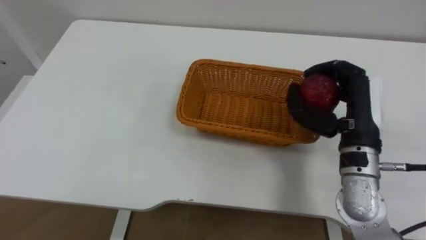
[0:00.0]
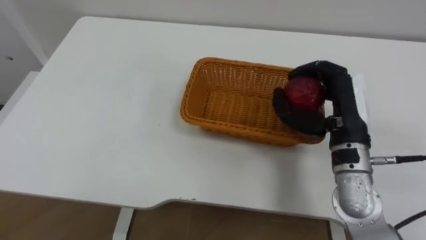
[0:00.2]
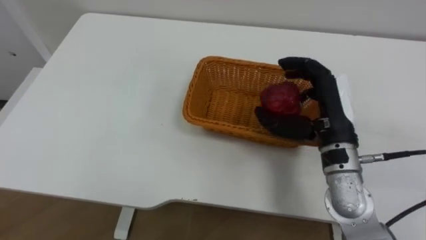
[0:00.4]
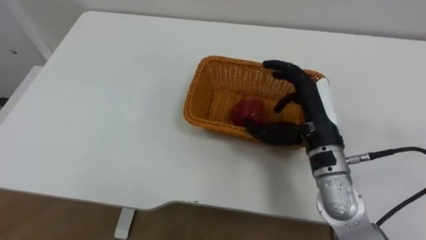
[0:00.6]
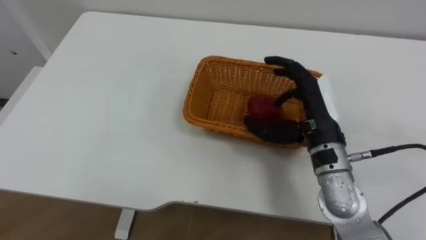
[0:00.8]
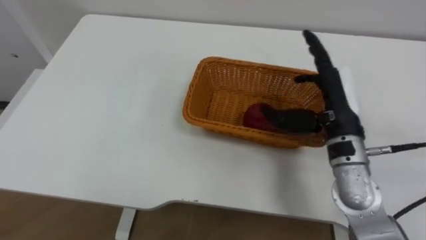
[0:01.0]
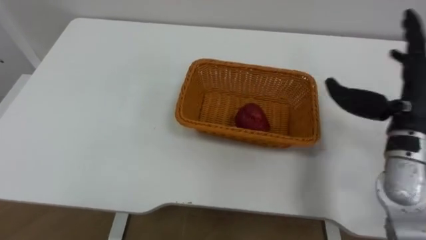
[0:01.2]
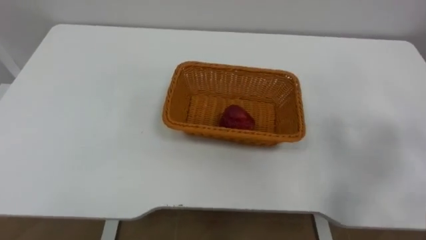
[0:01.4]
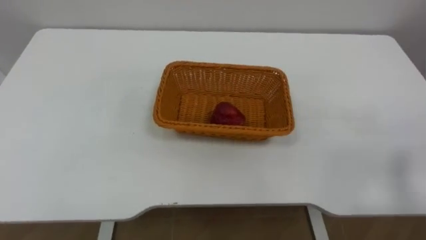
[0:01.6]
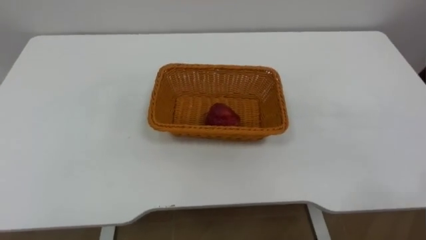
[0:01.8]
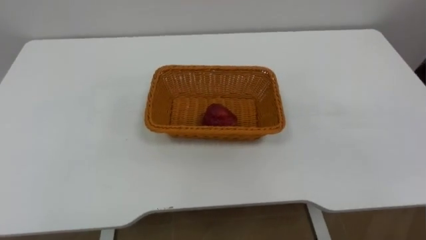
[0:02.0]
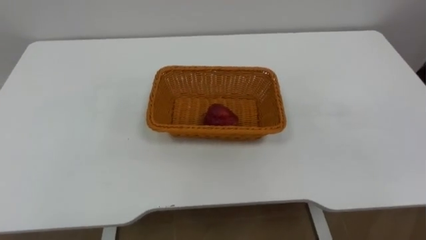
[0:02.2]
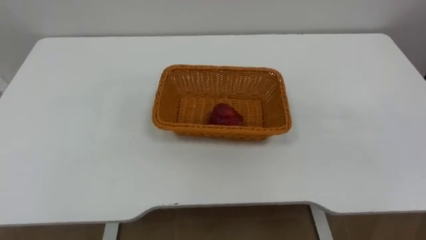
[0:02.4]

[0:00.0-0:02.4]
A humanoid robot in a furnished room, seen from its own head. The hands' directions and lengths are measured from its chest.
Task of the whole recording: Pick the apple and place it in the box.
0:00.0 to 0:01.2: The right hand is displaced to the right by approximately 5 cm, and opens up.

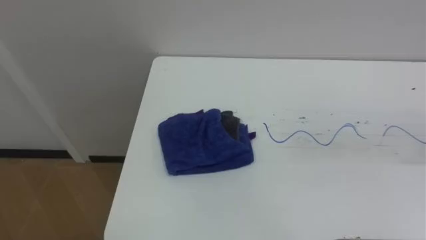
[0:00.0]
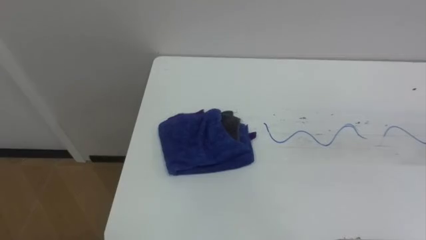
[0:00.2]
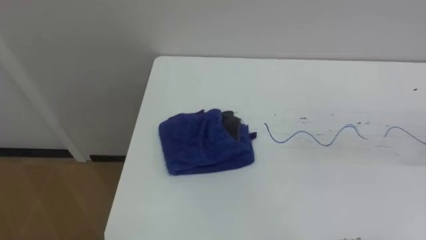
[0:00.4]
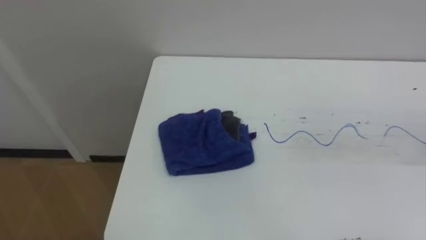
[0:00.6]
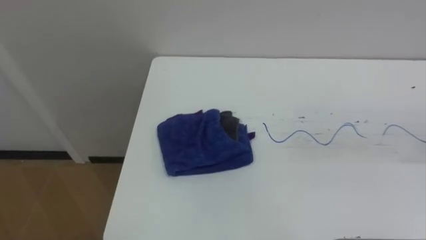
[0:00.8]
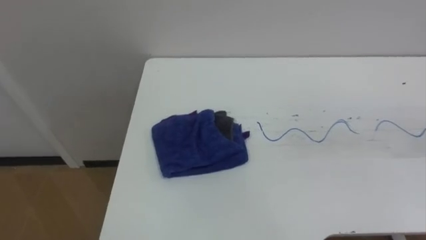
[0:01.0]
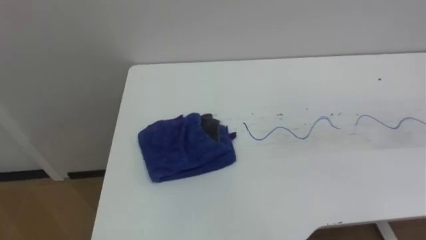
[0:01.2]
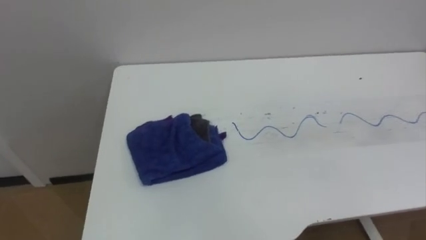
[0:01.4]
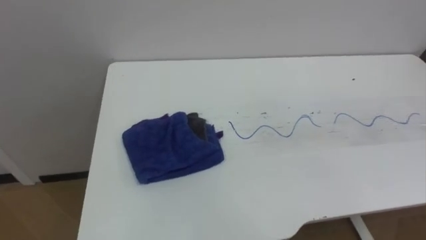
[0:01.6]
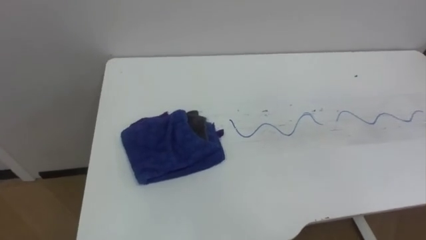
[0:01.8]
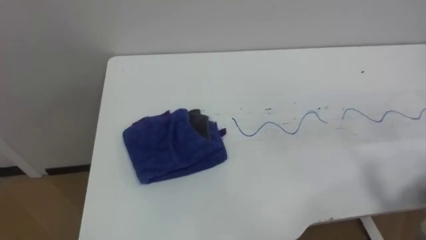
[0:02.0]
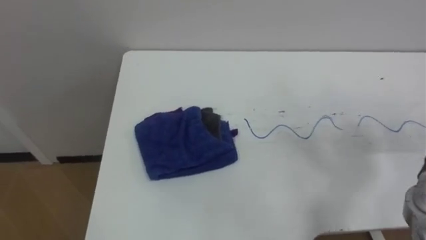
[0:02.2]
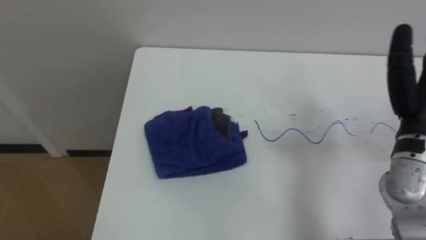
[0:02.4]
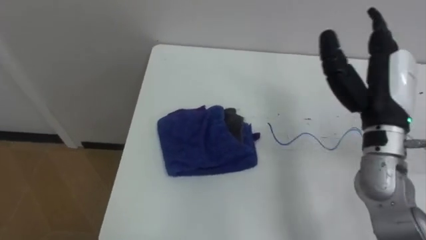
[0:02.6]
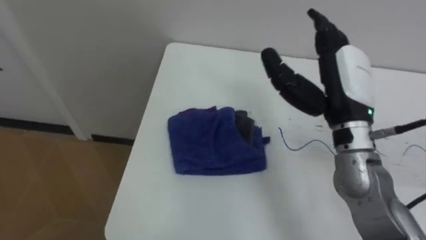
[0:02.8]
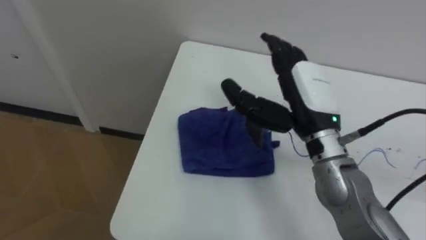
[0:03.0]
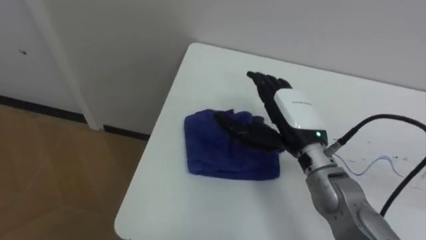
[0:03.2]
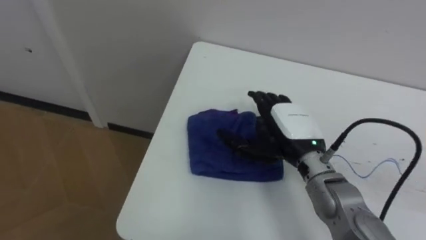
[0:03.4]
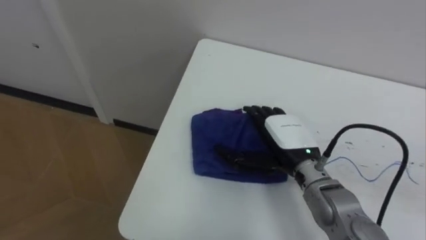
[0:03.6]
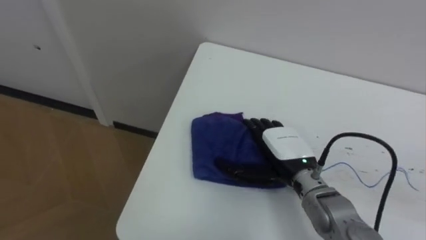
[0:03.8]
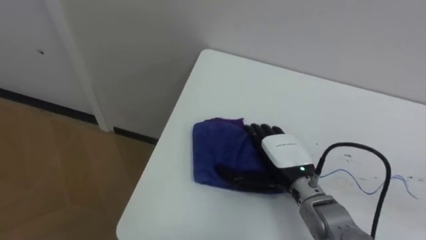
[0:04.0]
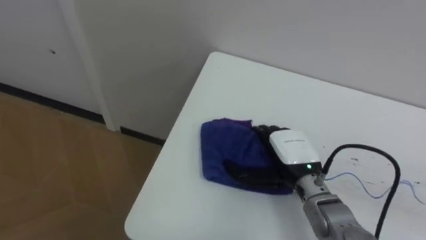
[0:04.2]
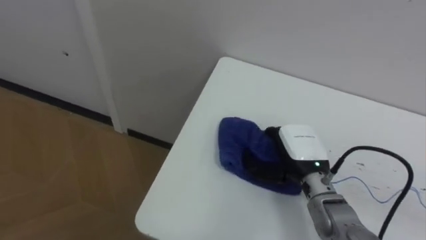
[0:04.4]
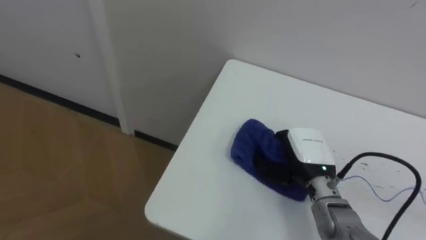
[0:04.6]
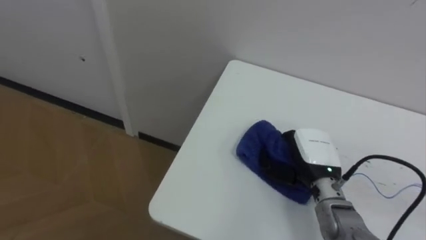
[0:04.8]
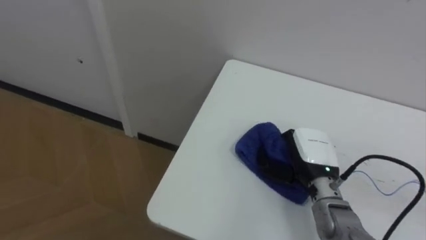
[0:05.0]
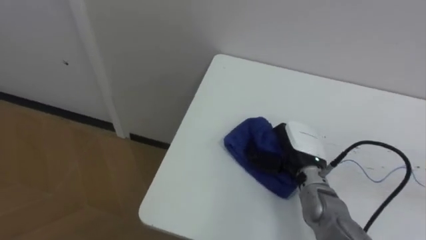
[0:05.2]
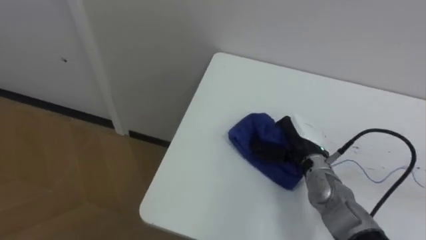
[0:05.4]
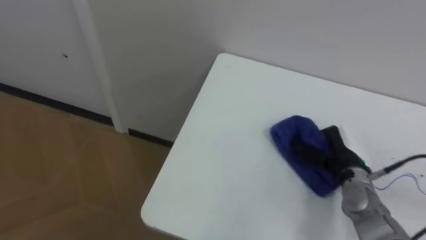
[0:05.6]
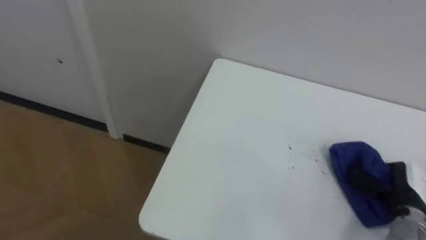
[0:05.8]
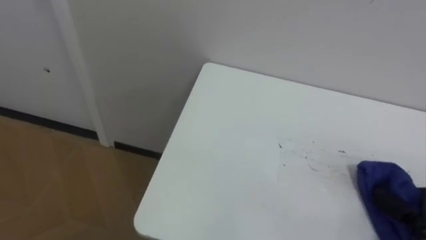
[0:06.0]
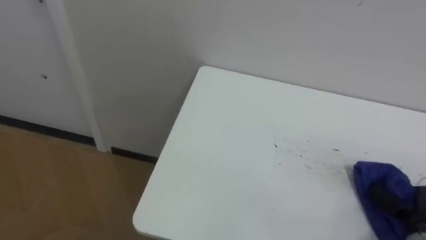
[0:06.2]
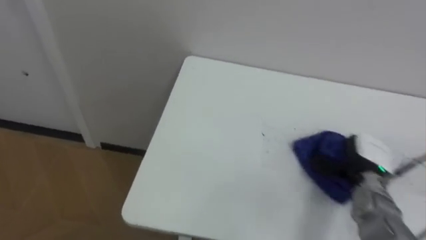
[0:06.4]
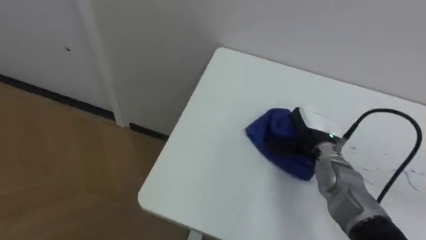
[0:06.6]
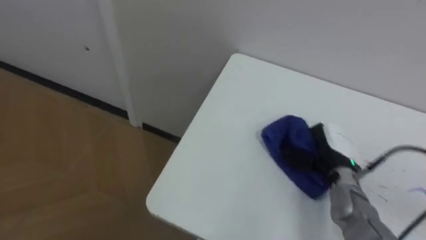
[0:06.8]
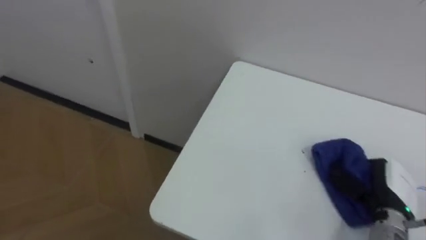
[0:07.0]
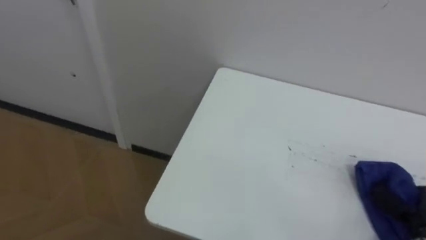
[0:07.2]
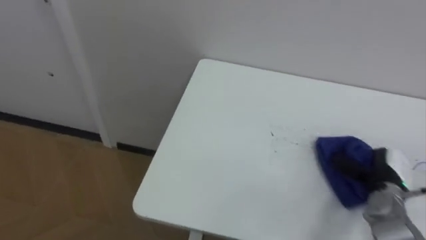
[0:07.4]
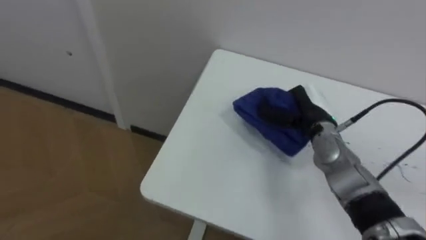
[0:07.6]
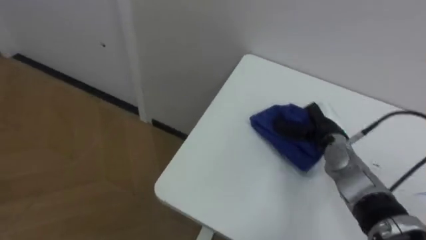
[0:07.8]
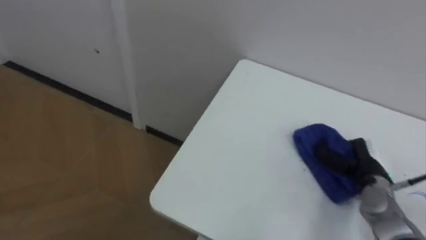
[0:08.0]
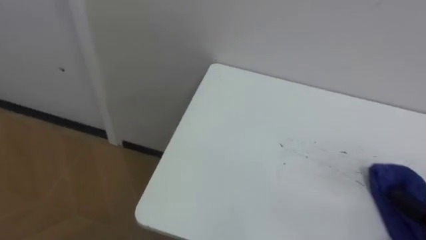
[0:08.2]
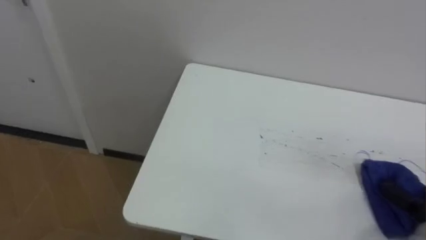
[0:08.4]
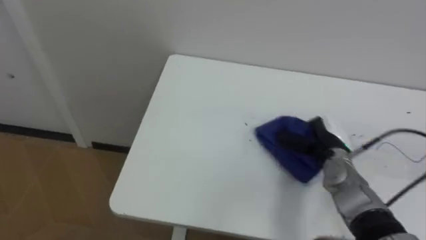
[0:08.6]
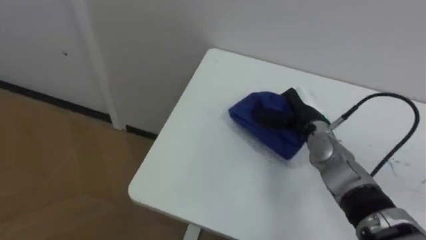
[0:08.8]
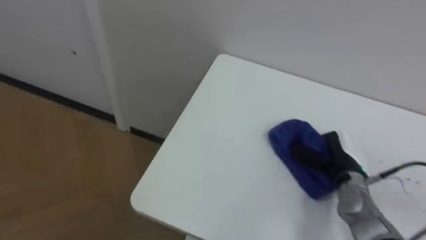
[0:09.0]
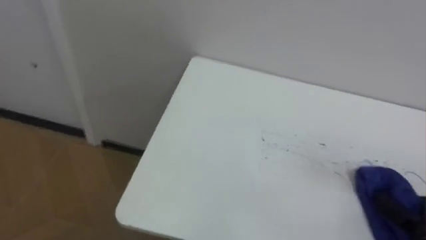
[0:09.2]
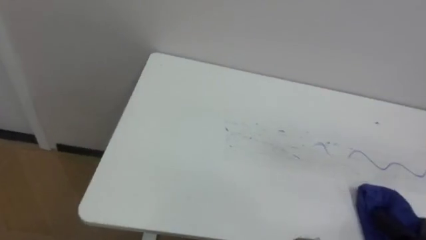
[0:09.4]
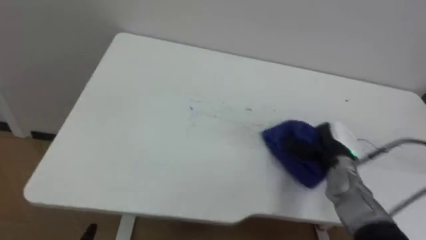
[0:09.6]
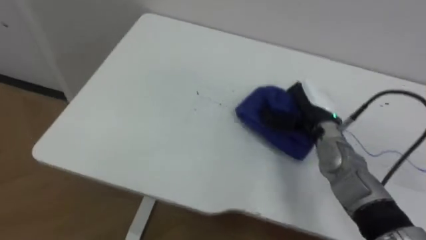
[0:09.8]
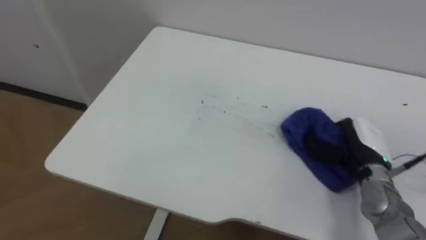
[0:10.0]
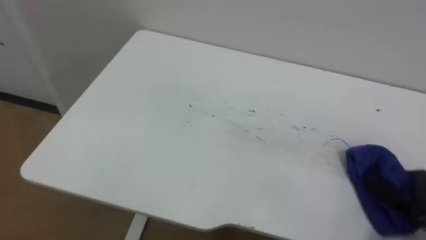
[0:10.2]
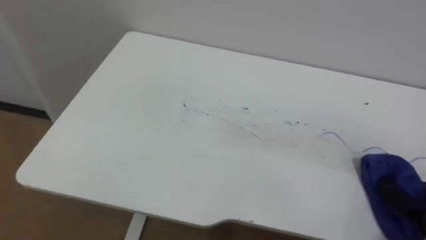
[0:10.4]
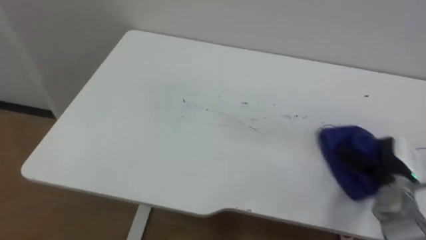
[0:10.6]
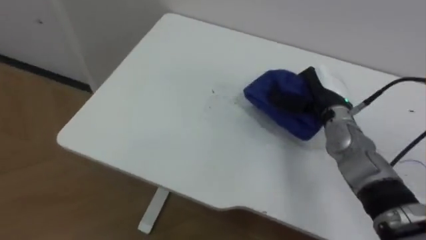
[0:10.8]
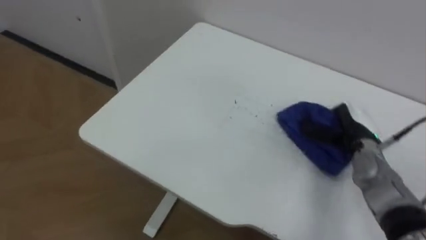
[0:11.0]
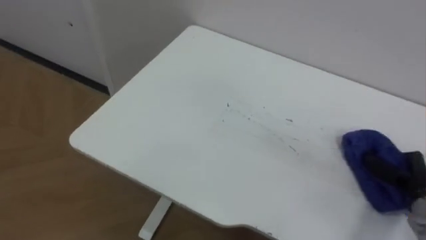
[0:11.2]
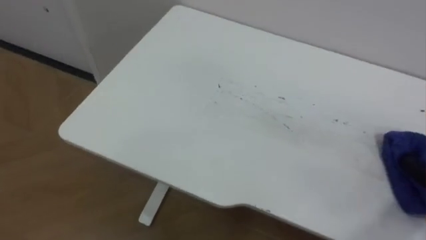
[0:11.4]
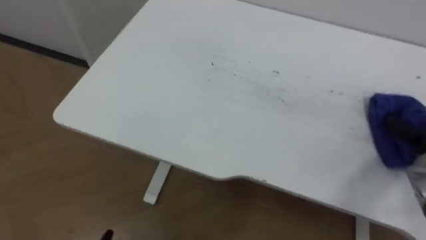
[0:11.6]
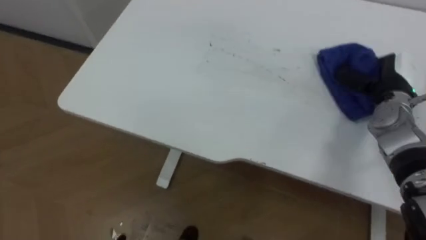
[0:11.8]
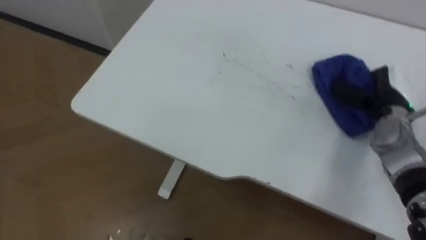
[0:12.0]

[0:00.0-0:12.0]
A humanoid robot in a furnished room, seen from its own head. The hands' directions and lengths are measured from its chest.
Task of the whole recording: Wipe the blue pen marks off the table with the rag.
0:03.0 to 0:04.4: The right hand moves downward, roughly 15 cm, and closes its fingers.
0:04.4 to 0:06.0: The right hand moves to the right and backward, roughly 25 cm, and closes its fingers.
0:06.0 to 0:07.6: The right hand moves left and right over roughly 20 cm, changing direction 2 times.

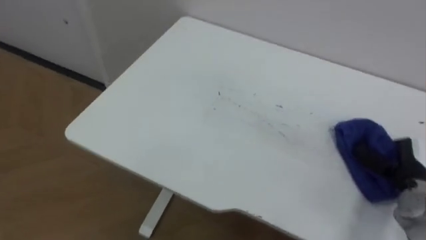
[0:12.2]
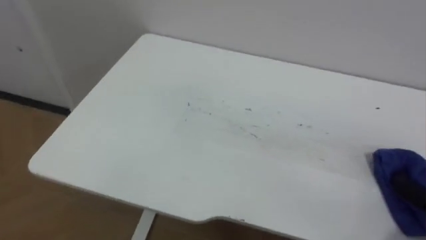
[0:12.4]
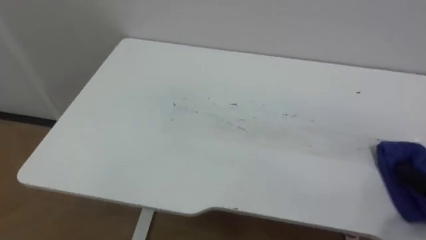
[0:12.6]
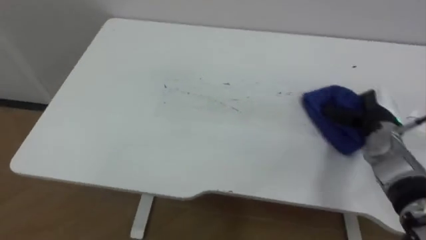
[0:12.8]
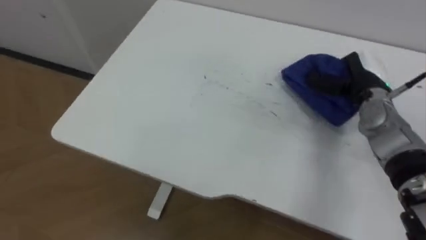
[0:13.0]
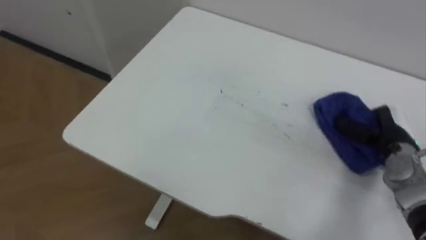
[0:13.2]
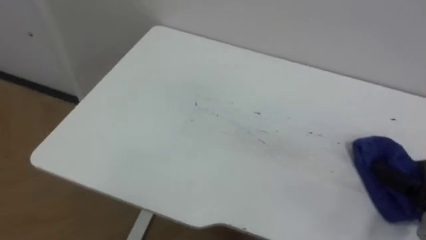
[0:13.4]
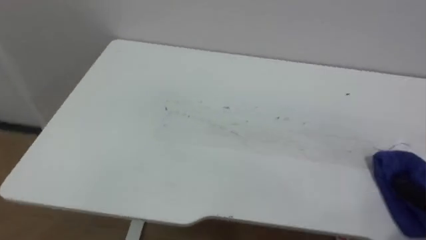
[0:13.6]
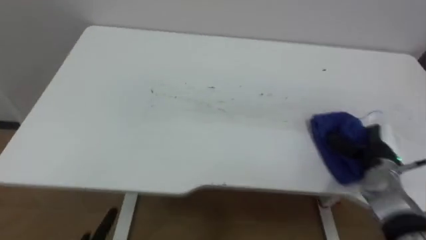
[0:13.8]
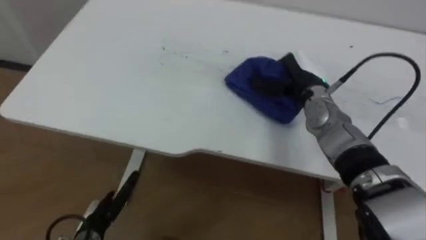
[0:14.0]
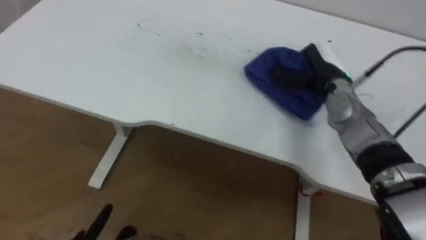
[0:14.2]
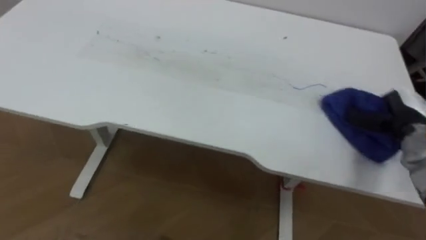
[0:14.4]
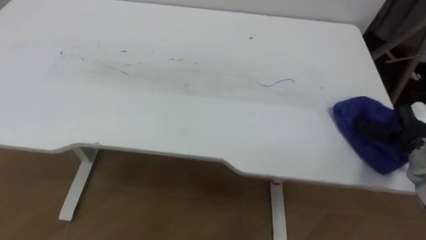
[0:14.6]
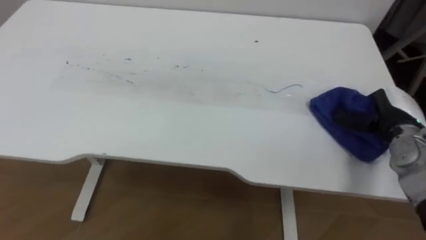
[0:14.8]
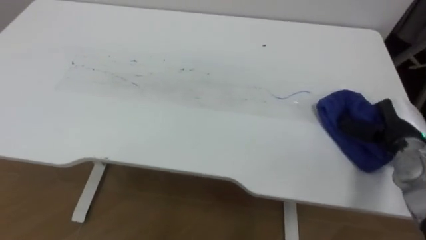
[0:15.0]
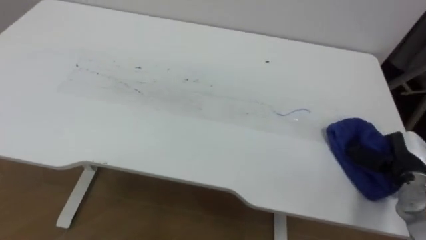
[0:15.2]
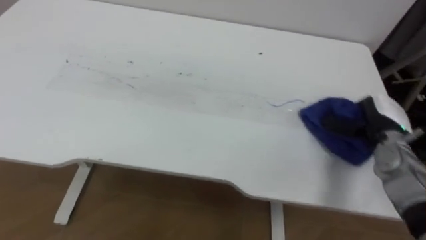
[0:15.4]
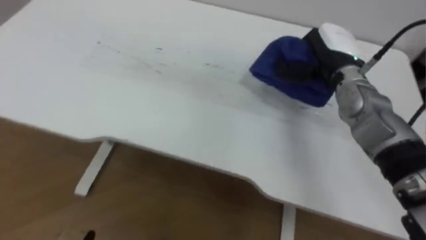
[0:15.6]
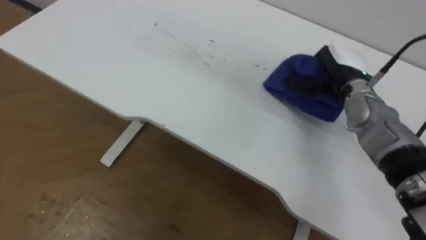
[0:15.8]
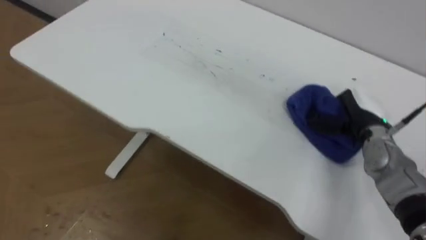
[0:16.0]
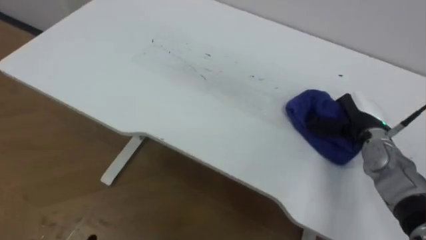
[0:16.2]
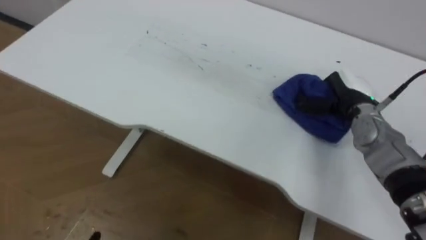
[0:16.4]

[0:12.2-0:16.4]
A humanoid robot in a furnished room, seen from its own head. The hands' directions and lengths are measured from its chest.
Task of the whole recording: Wipe the blue pen marks off the table with the rag.
0:15.0 to 0:16.4: The right hand heads to the left and forward, covering approximately 10 cm.
